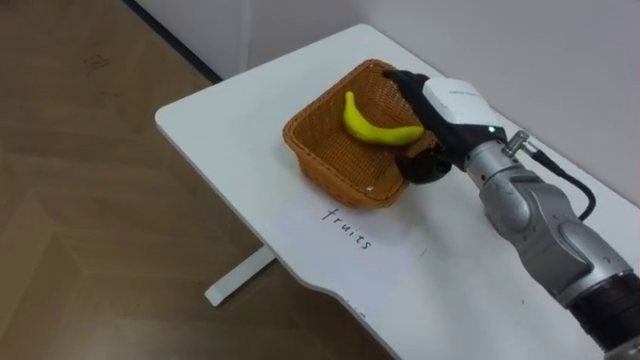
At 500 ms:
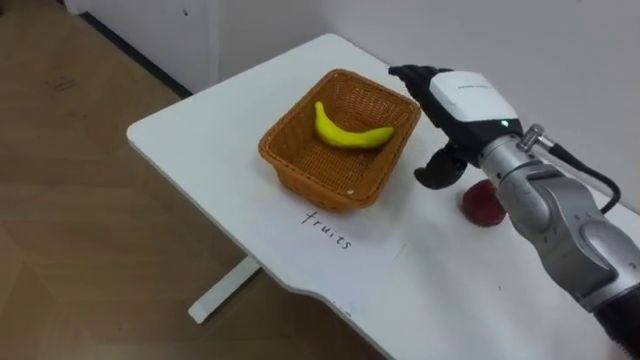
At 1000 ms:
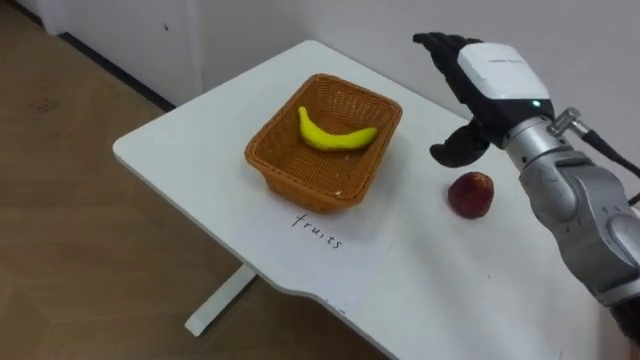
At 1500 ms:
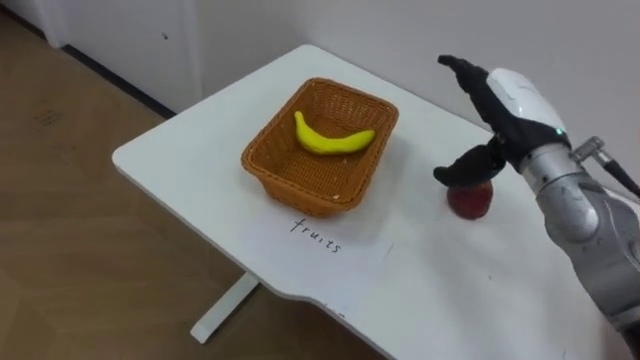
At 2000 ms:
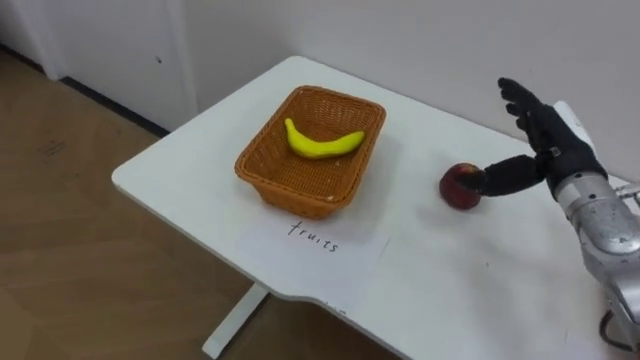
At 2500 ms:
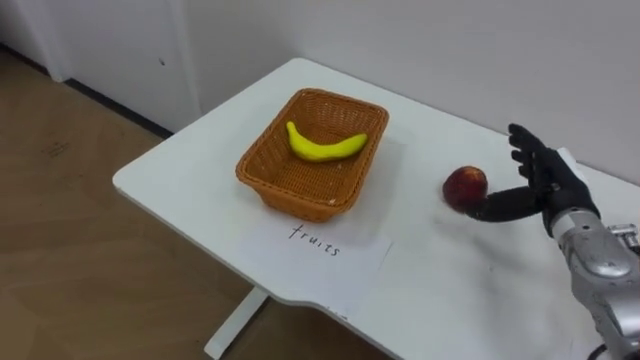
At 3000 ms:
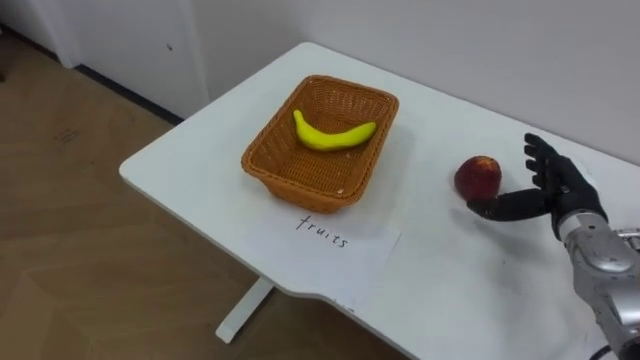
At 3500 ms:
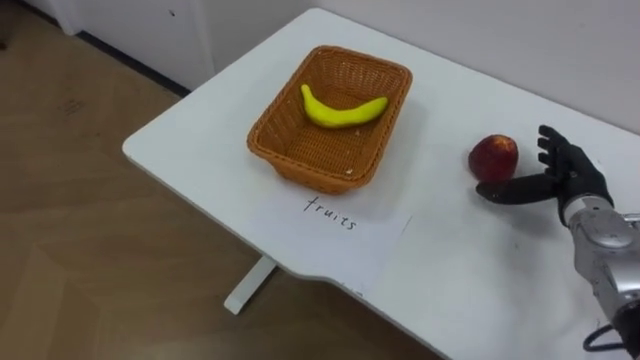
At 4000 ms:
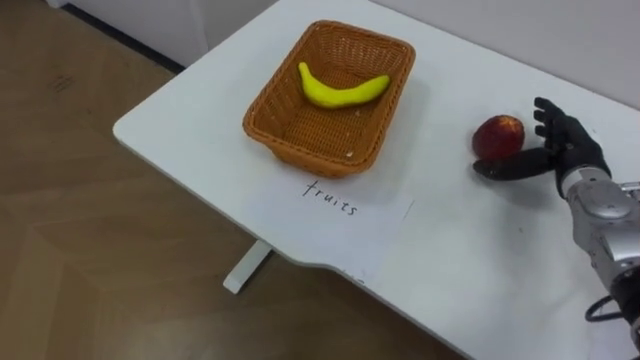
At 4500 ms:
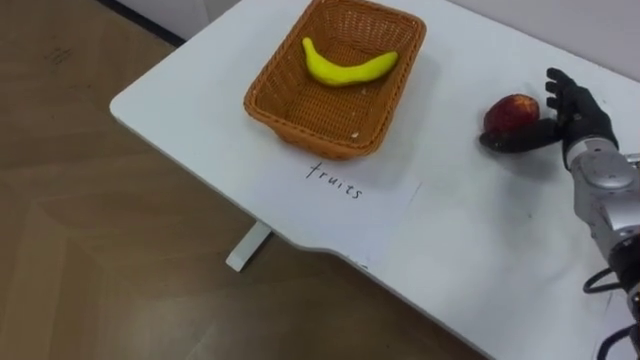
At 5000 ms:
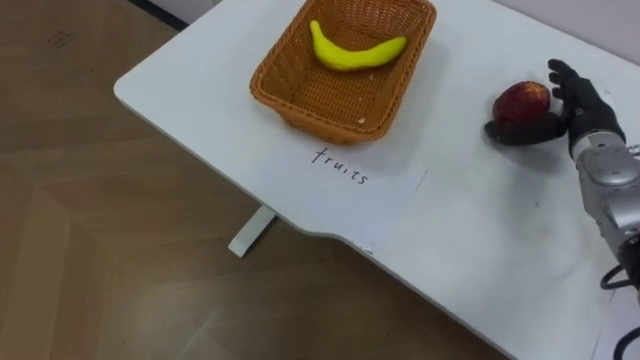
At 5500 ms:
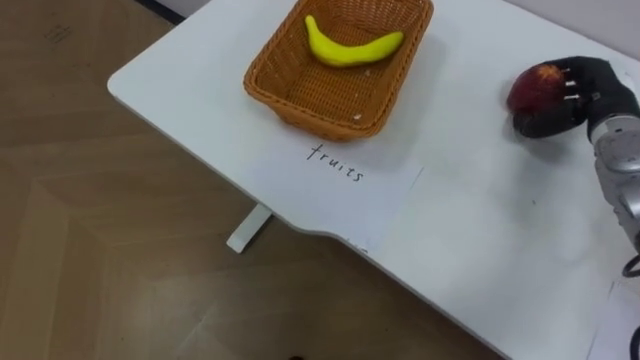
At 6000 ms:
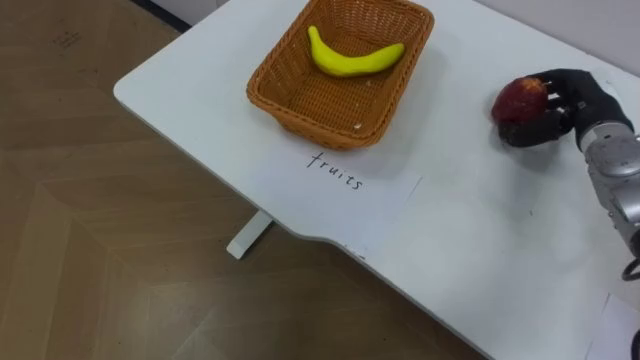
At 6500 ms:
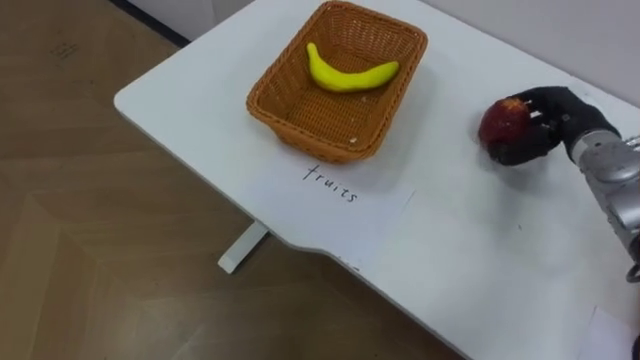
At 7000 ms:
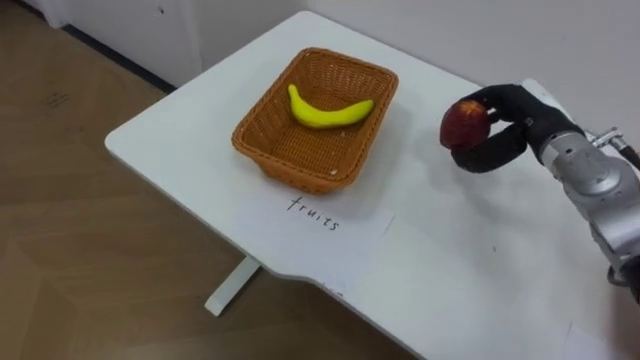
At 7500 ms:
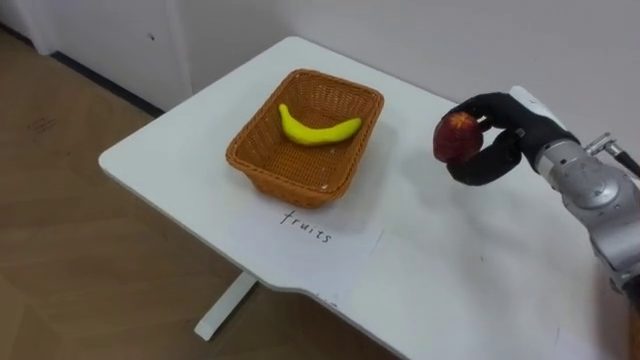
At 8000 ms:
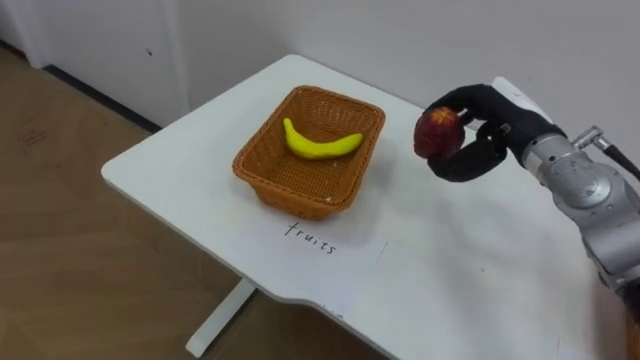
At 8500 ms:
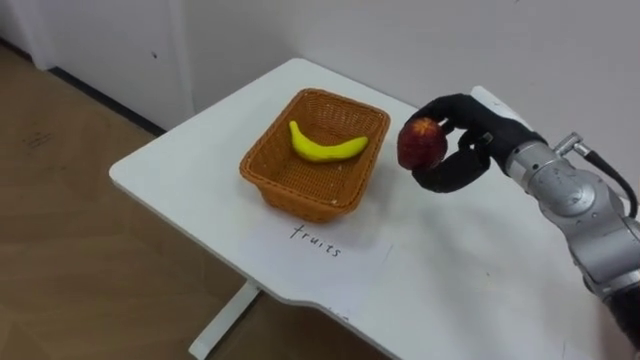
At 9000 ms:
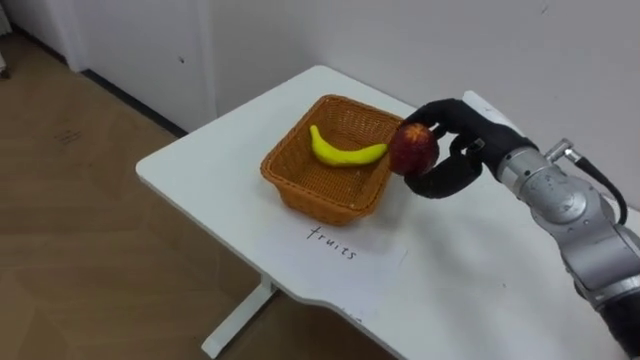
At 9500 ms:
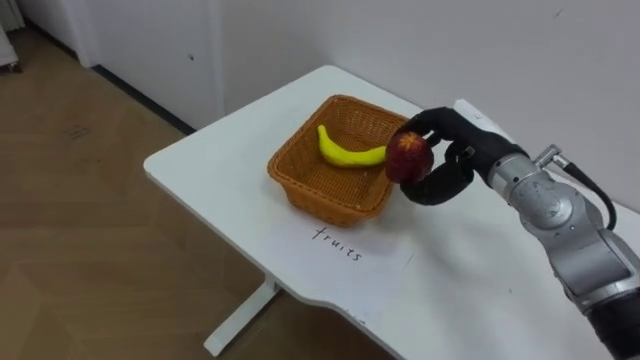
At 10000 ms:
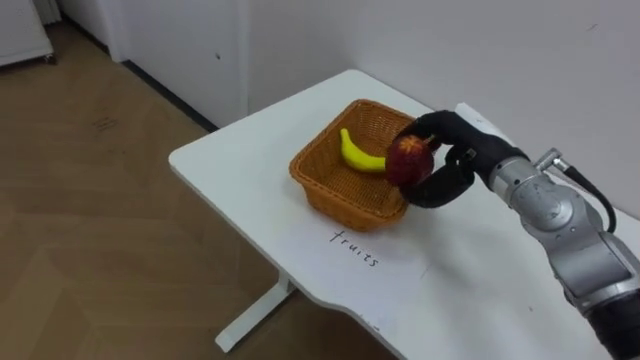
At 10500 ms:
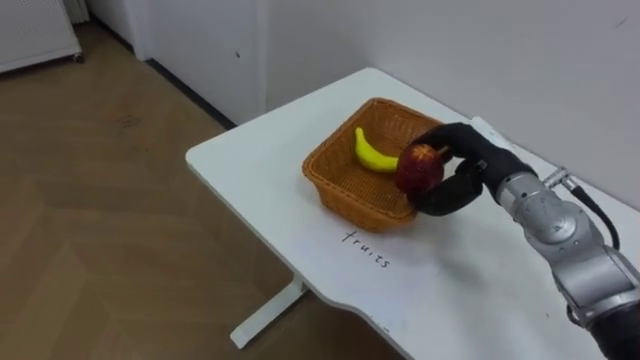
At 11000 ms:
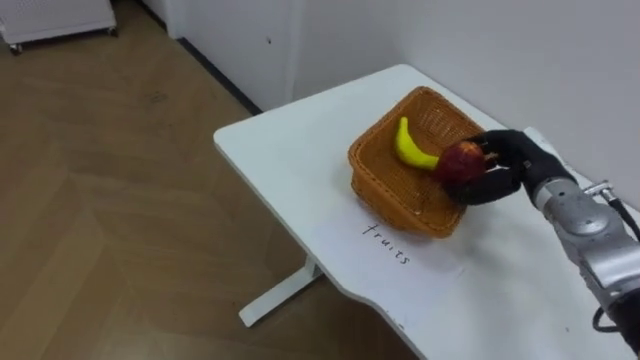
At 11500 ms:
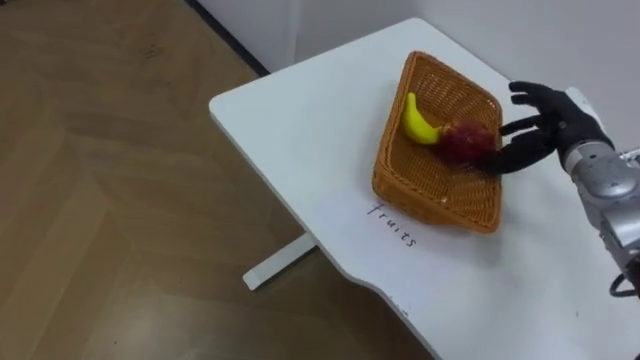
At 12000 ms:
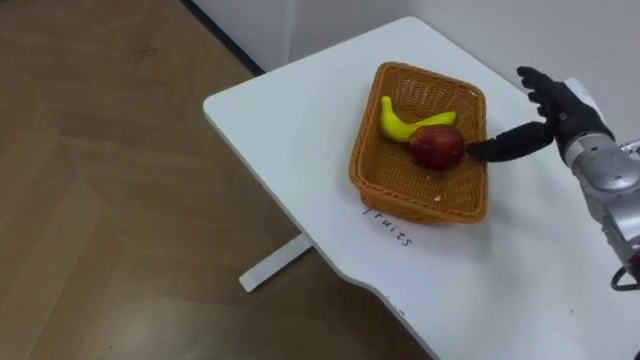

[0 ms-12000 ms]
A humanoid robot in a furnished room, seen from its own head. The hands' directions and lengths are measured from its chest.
Task of the whole recording: Separate the items on the table and place them into the two baskets.
0 ms to 2000 ms: The right hand heads to the right, covering approximately 10 cm.
2000 ms to 4000 ms: The right hand shifts by approximately 5 cm.
4000 ms to 6000 ms: The right hand changes place by about 5 cm, and closes up.
6000 ms to 8000 ms: The right hand heads to the left, covering some 10 cm.
10000 ms to 12000 ms: The right hand travels to the right by roughly 10 cm, and opens up.

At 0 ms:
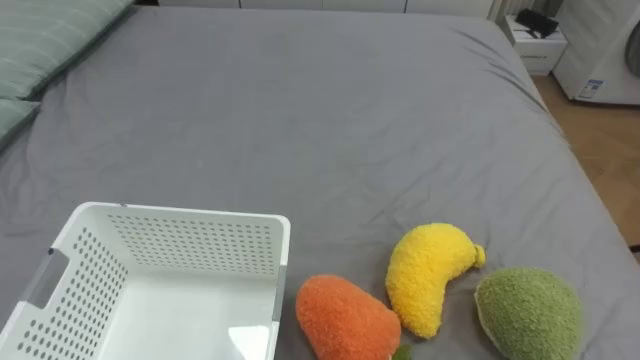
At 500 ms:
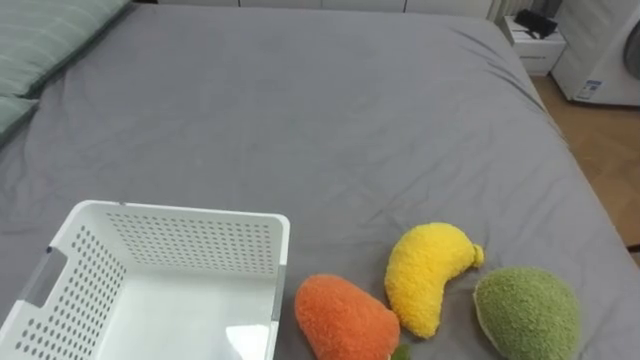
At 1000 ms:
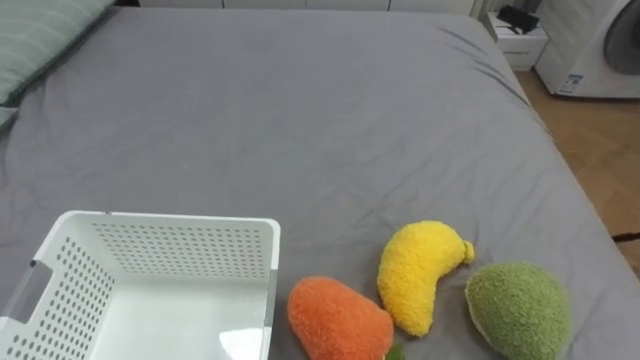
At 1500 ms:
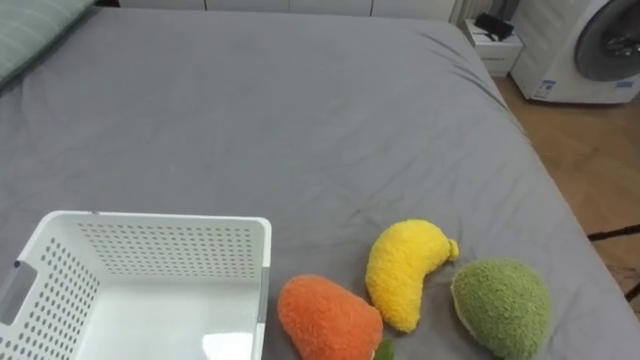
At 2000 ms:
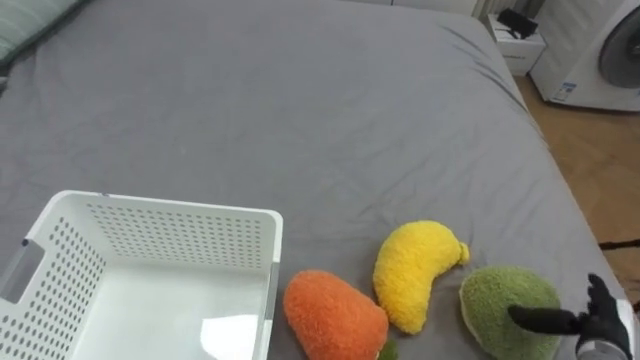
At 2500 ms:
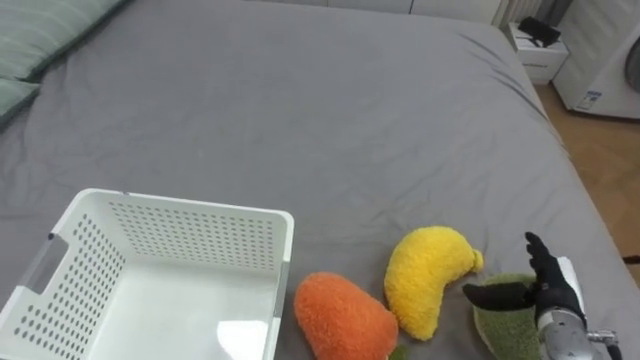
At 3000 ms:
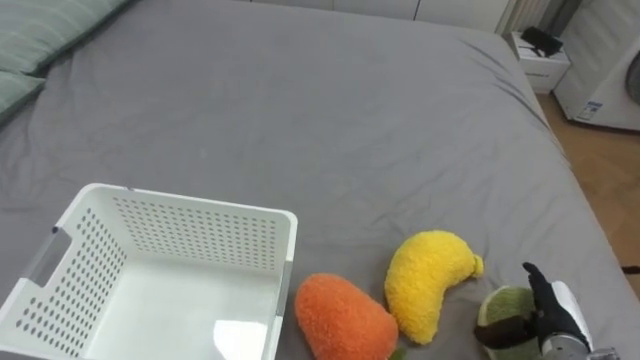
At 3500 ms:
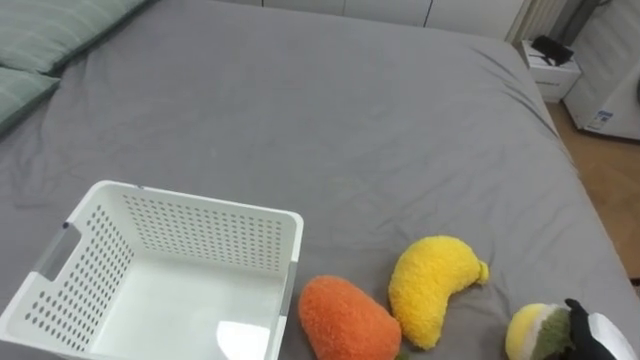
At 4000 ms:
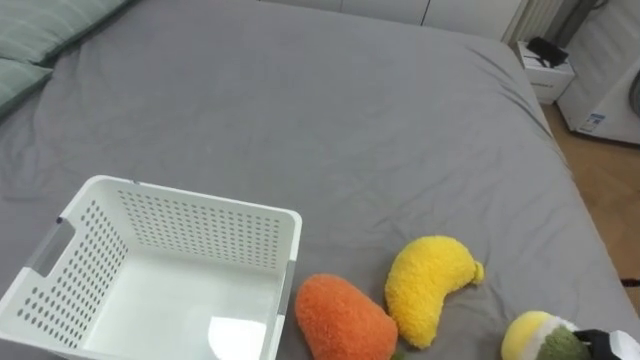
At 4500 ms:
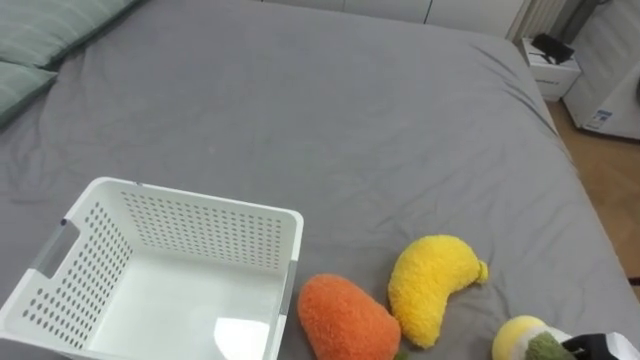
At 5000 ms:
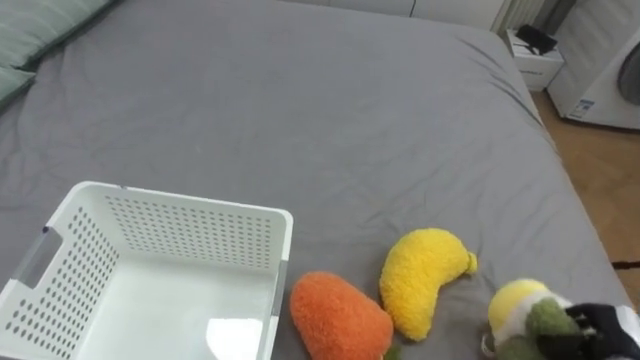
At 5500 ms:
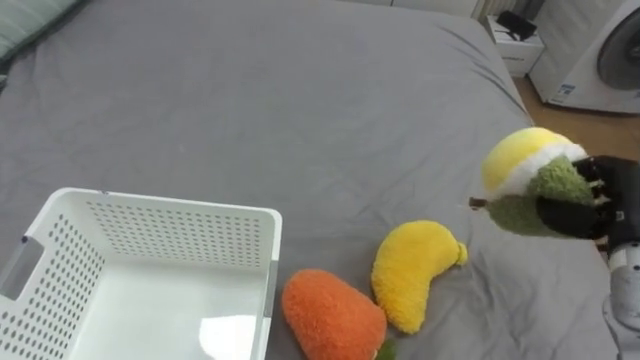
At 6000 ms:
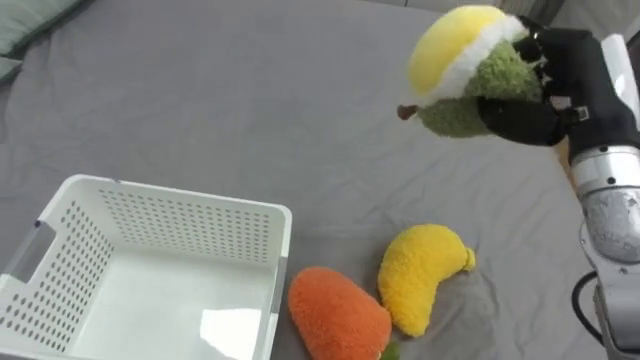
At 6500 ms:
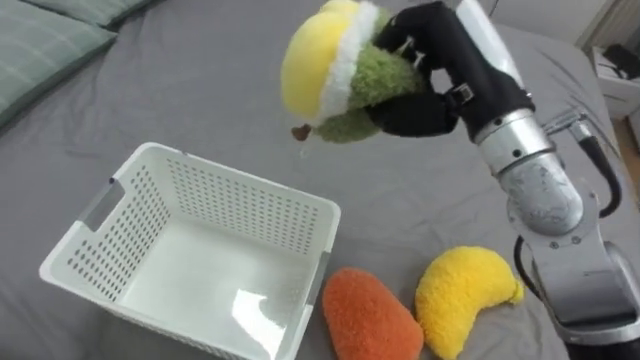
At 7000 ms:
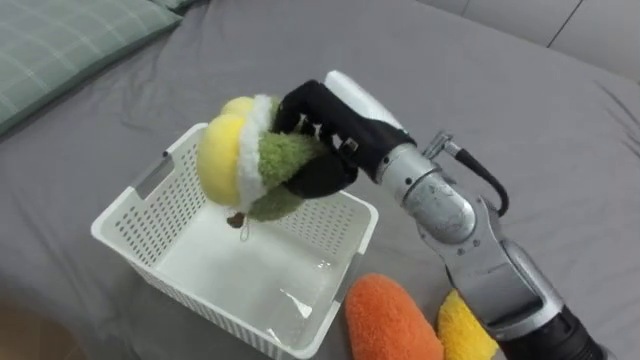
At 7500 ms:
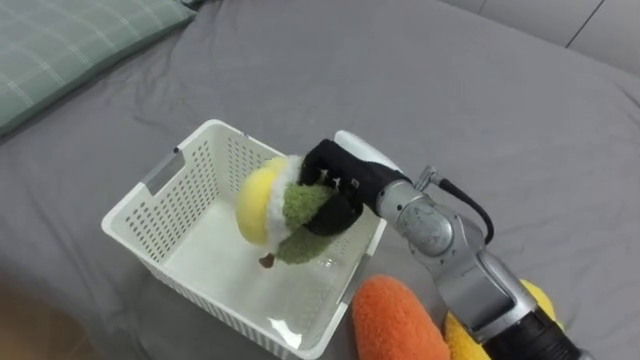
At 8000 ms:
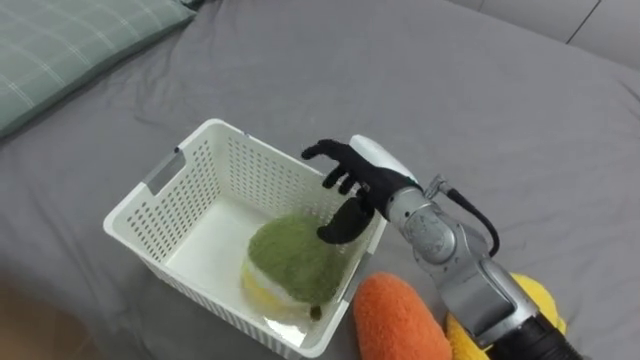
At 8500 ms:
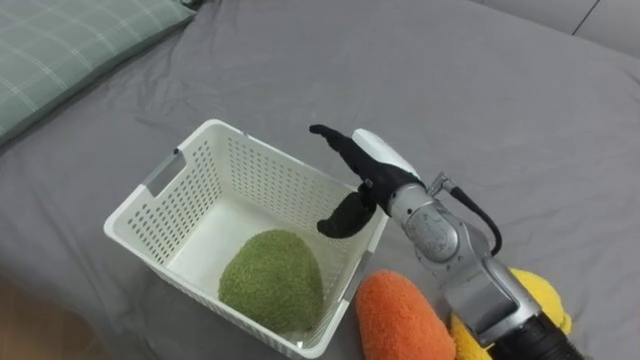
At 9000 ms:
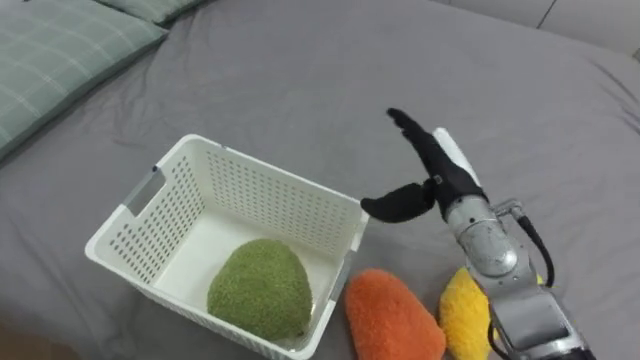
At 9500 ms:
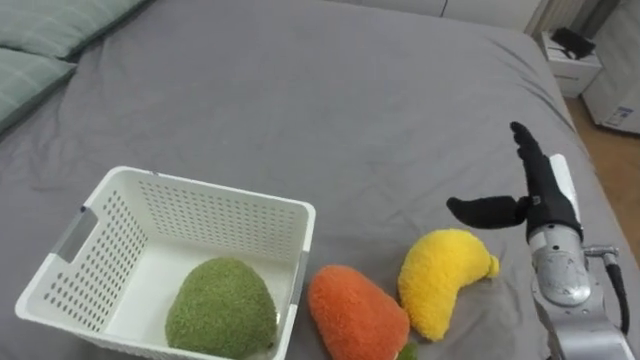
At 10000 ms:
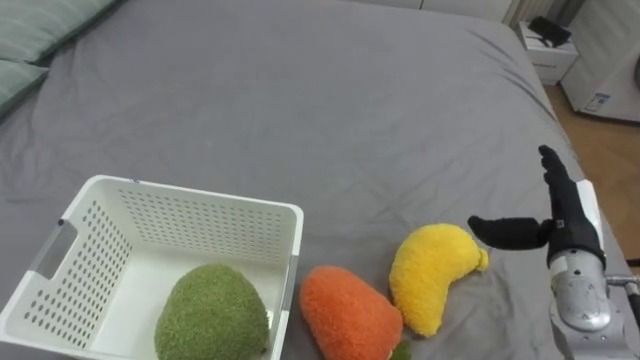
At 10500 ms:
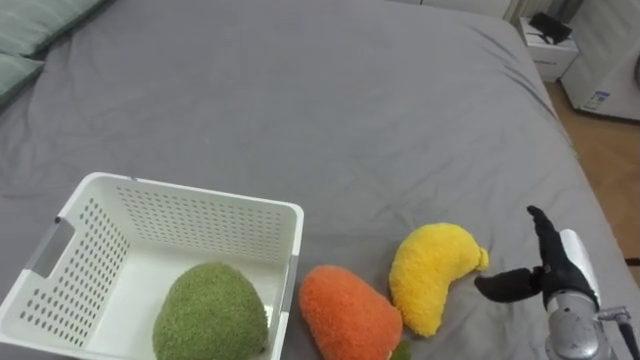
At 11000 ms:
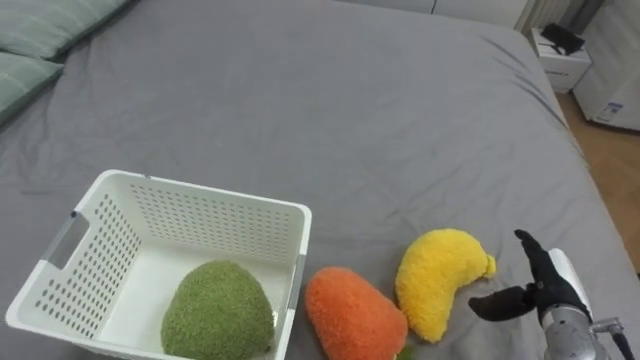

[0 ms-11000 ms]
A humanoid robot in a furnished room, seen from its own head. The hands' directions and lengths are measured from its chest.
Task of the whole recording: Put the toys on the bed into the basket on the left.
5500 ms to 7500 ms: The right hand moves to the left, some 30 cm.
7500 ms to 9000 ms: The right hand is displaced to the right by about 10 cm, and opens up.
9000 ms to 11000 ms: The right hand heads to the right, downward and backward, covering roughly 25 cm.
